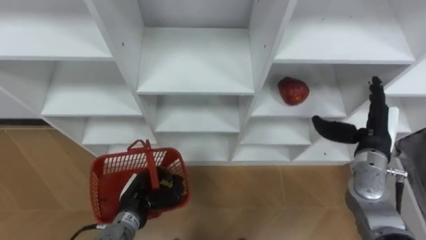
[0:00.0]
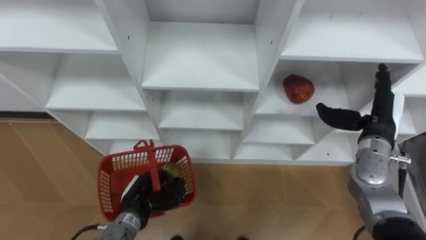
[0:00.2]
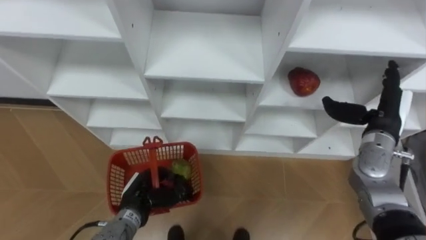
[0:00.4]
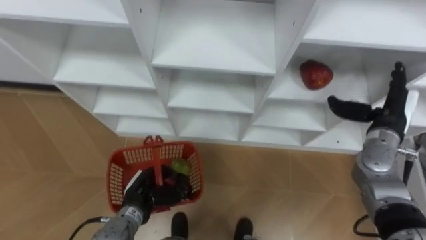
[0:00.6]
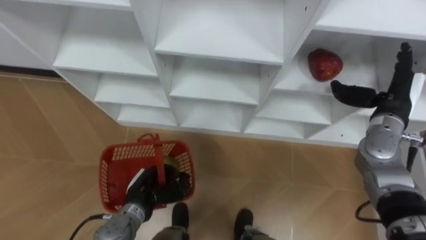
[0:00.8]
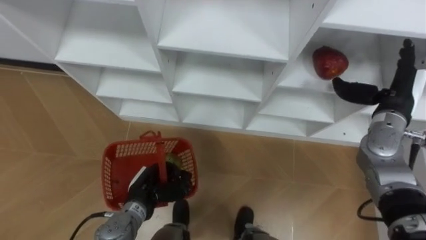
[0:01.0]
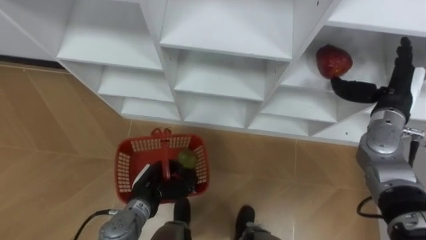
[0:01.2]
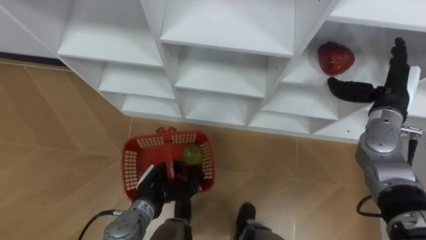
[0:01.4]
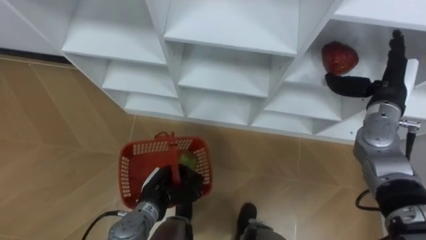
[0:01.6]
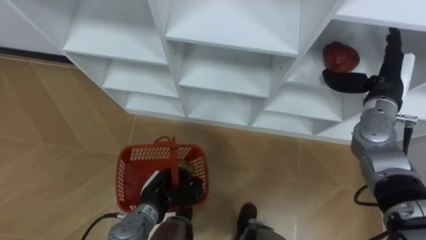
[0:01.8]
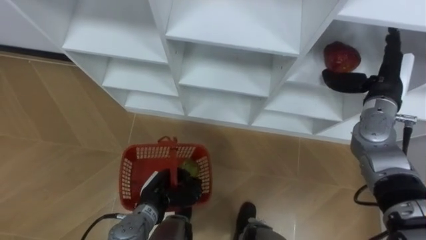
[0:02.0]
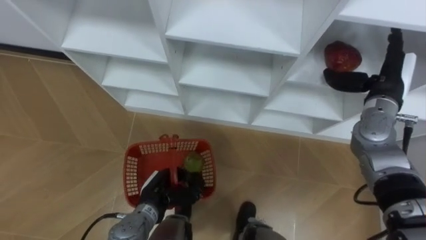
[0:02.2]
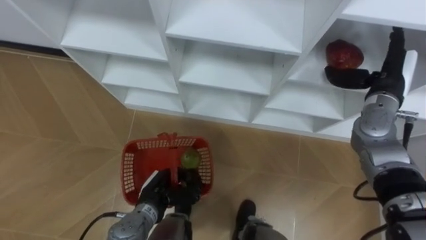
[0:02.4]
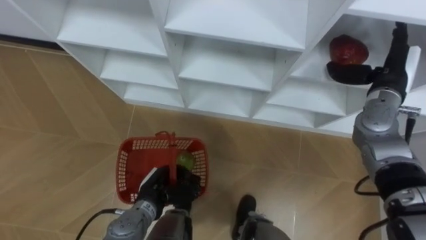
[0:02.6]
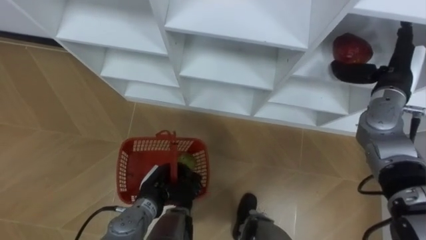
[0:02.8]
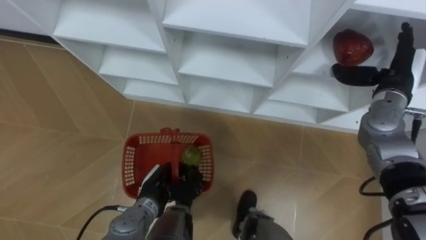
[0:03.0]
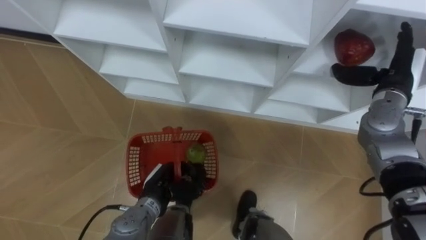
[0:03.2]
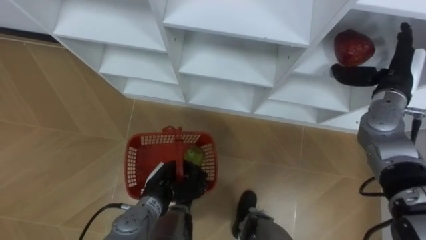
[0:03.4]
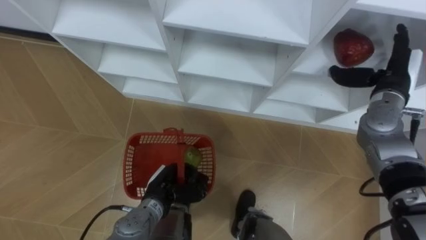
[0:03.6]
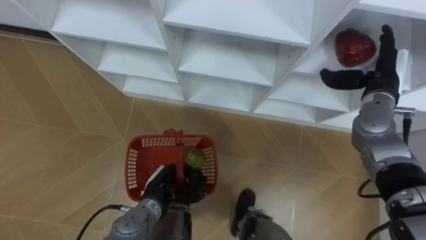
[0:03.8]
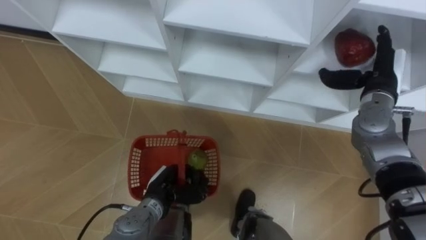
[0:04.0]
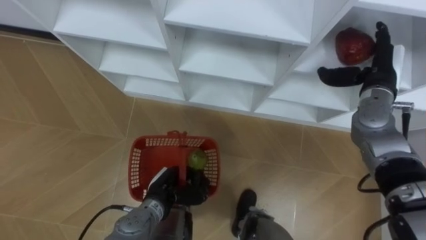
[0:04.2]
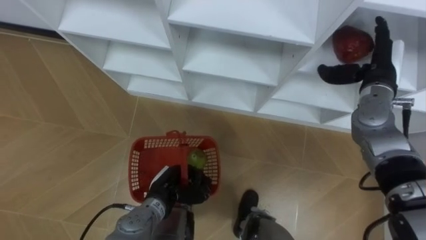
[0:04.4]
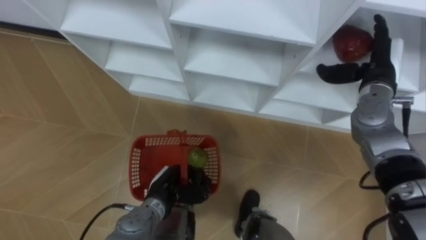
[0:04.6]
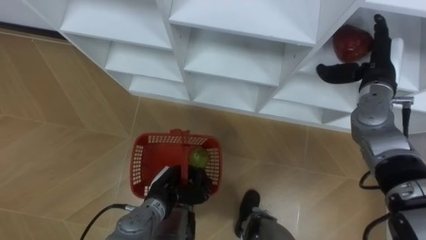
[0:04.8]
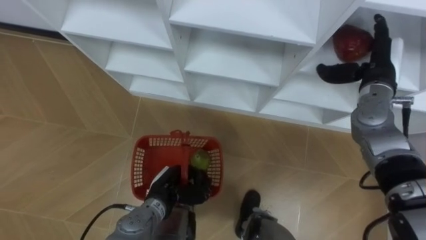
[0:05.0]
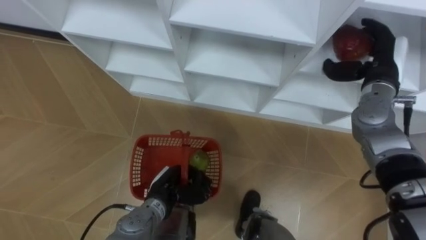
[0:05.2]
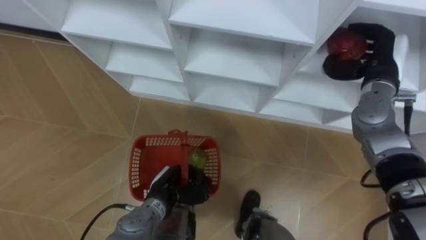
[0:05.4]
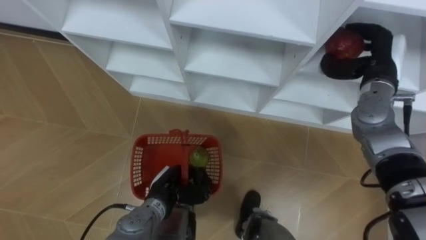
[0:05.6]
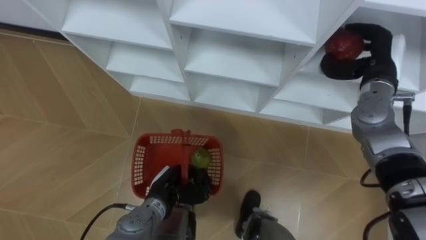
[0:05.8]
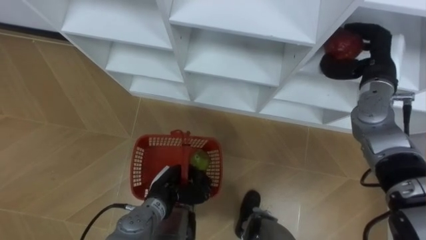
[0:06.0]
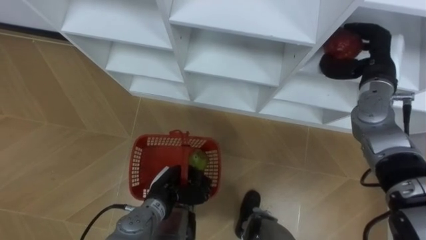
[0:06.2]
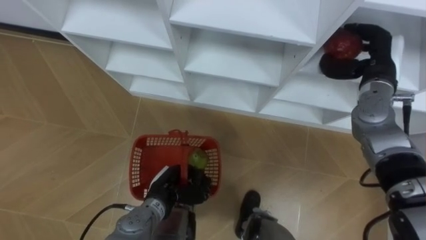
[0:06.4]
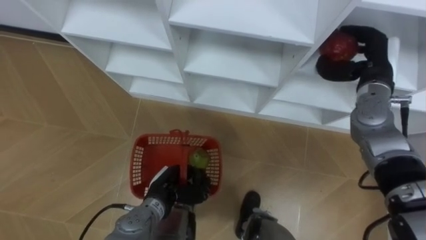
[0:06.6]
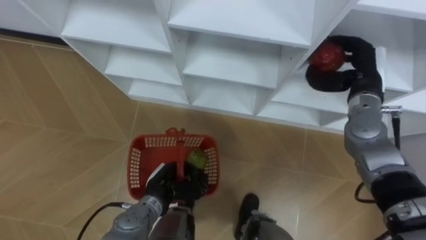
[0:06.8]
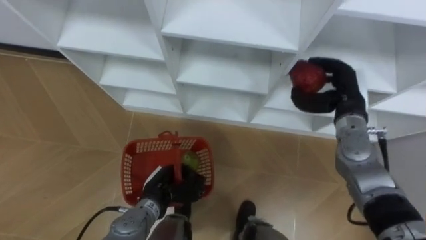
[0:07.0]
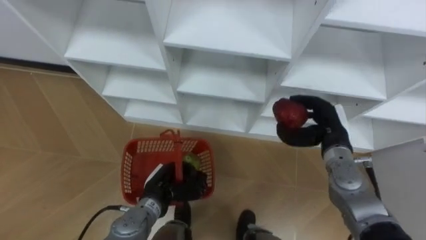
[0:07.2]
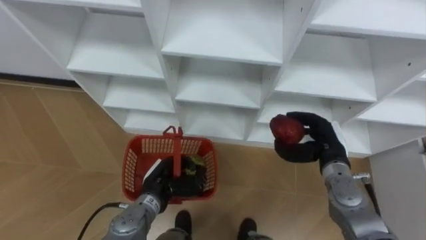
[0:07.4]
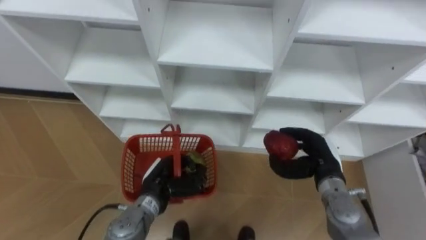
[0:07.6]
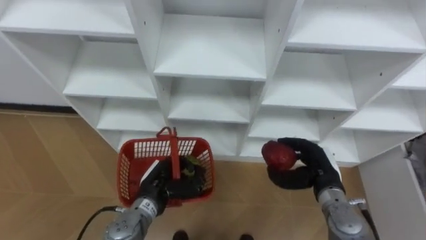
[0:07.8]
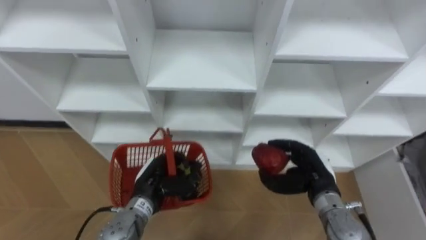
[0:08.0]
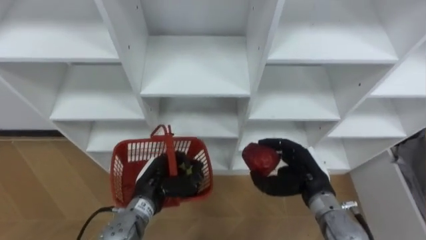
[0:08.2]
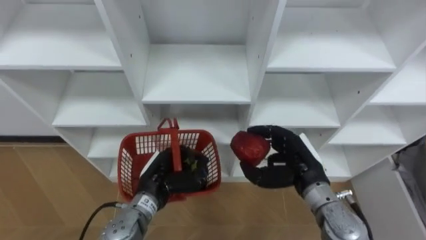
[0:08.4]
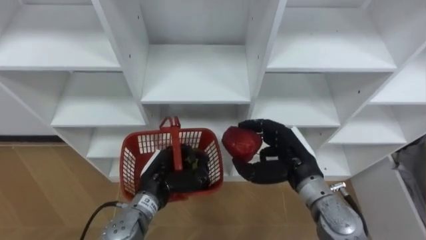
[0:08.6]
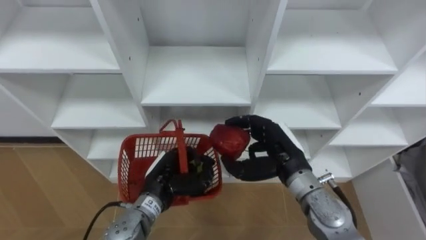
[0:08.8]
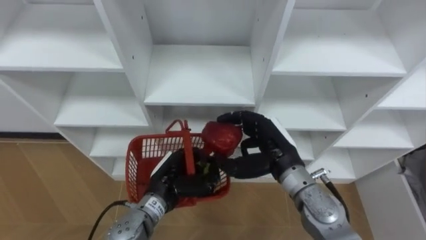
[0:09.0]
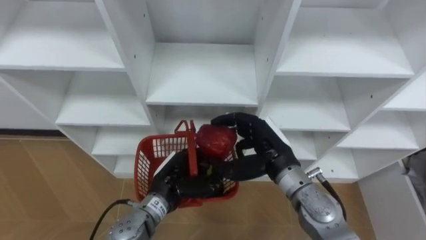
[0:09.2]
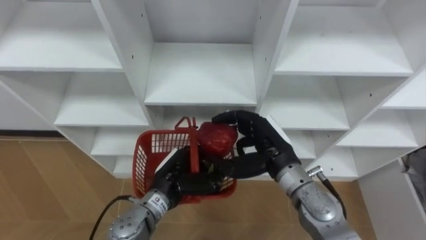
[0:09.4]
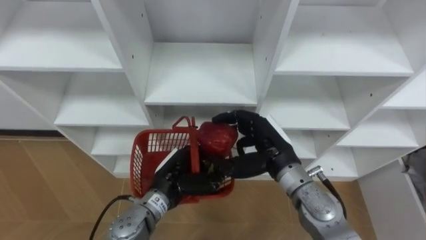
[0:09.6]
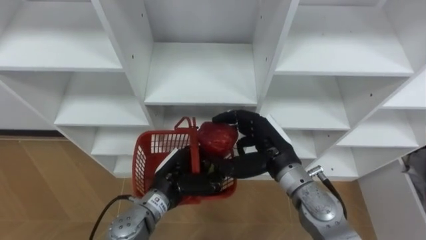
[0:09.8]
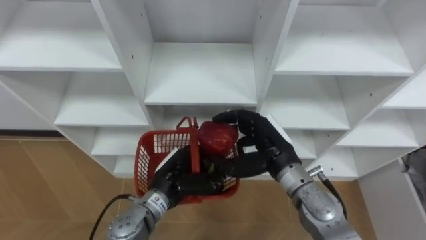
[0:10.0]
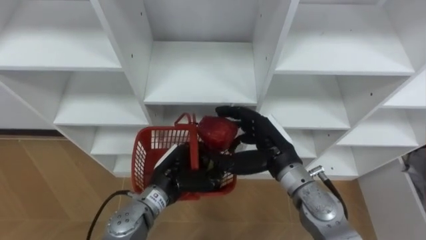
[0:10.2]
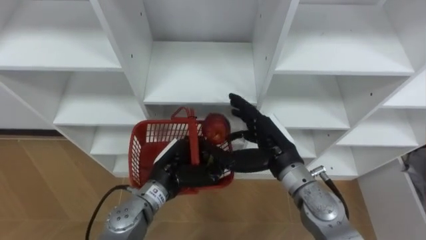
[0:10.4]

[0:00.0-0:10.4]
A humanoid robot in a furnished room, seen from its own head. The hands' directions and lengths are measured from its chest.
Task of the whole recording: Hold the basket and collect the fruits from 3 different cells of the closet into it.
0:00.0 to 0:01.4: The right hand goes roughly 10 cm forward and upward.
0:04.4 to 0:06.0: The right hand closes up.
0:06.0 to 0:07.4: The right hand shifts roughly 15 cm downward, backward and to the left.
0:07.4 to 0:09.0: The right hand shifts approximately 10 cm to the left.
0:09.0 to 0:10.4: The right hand opens.

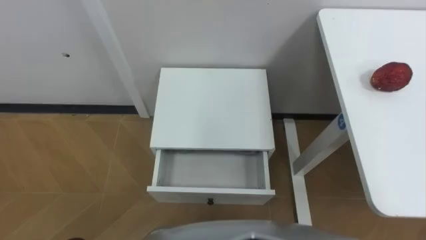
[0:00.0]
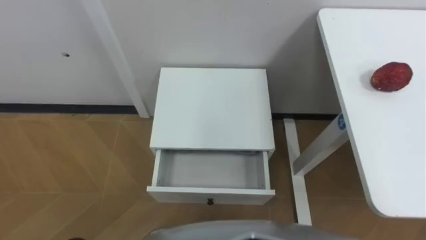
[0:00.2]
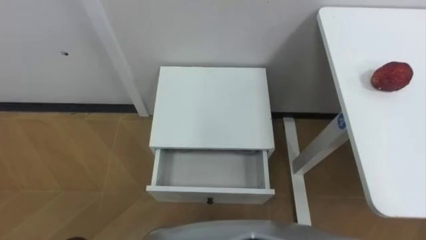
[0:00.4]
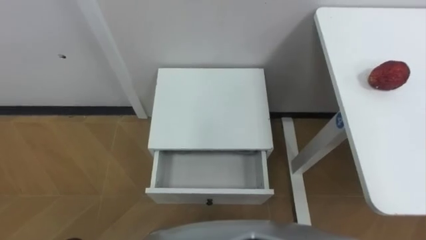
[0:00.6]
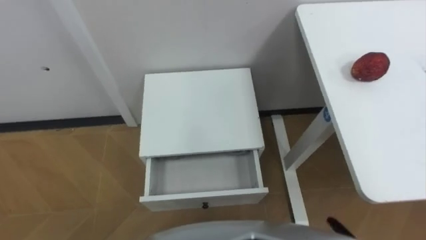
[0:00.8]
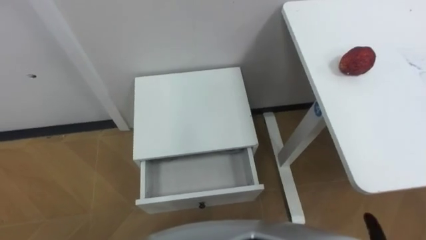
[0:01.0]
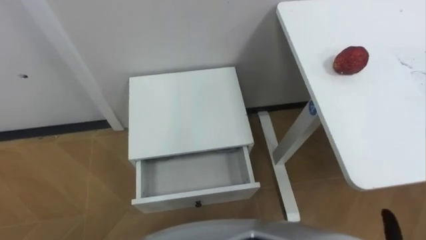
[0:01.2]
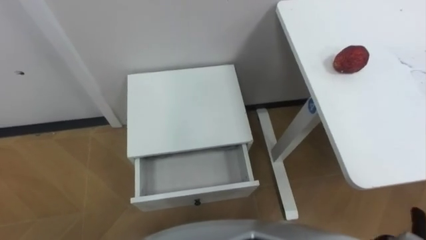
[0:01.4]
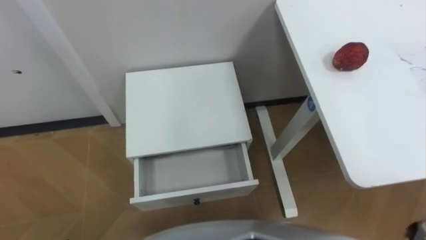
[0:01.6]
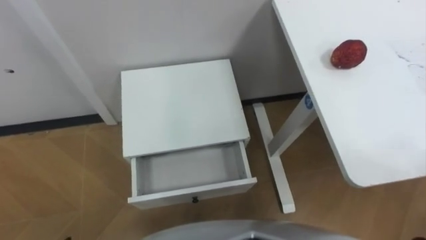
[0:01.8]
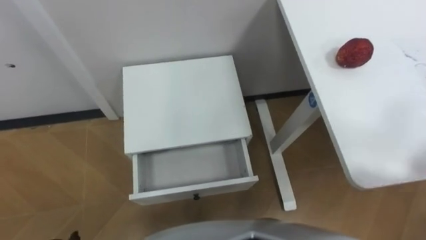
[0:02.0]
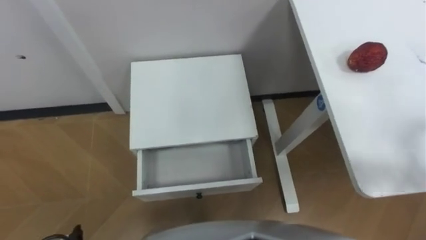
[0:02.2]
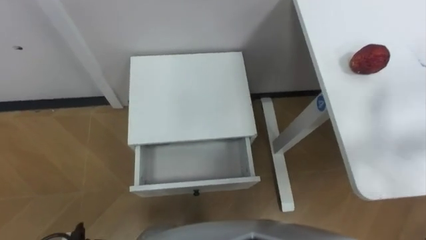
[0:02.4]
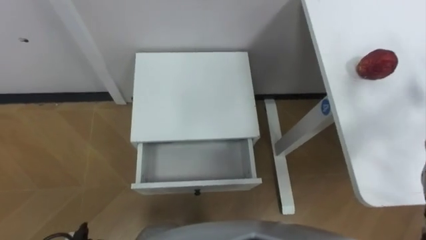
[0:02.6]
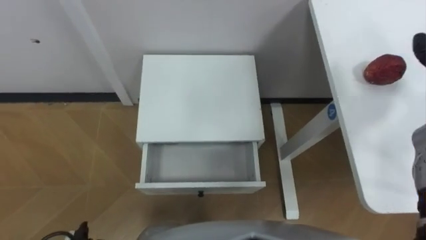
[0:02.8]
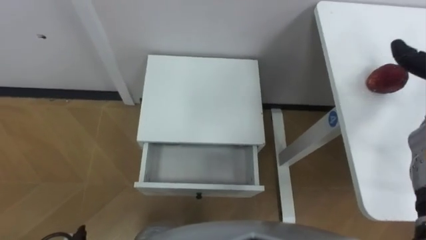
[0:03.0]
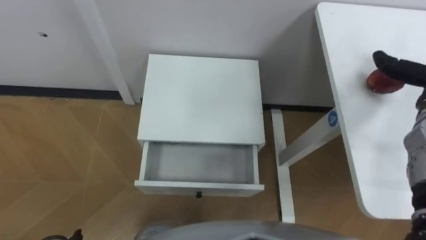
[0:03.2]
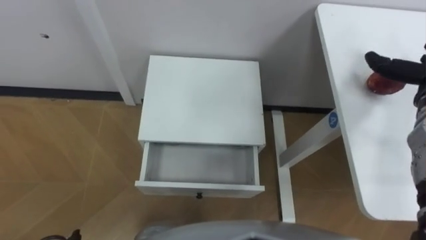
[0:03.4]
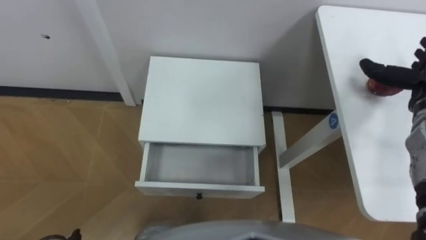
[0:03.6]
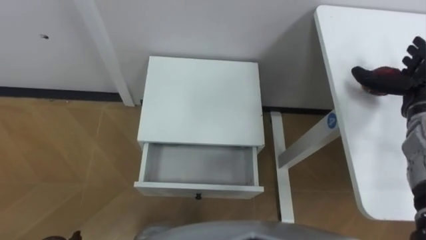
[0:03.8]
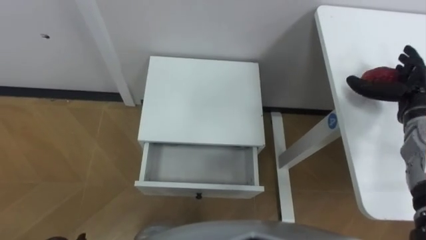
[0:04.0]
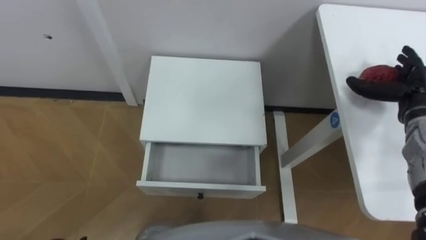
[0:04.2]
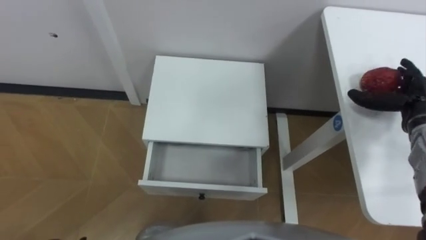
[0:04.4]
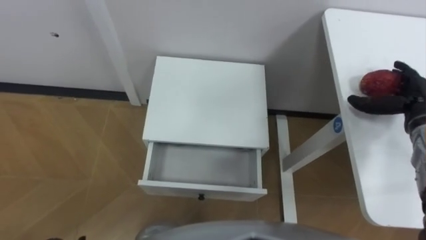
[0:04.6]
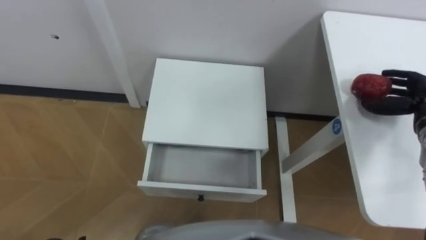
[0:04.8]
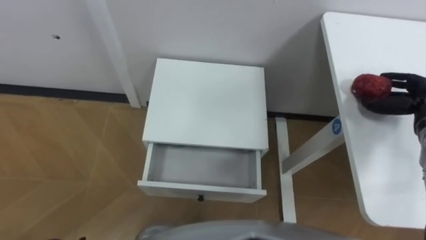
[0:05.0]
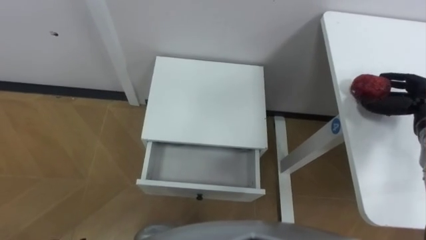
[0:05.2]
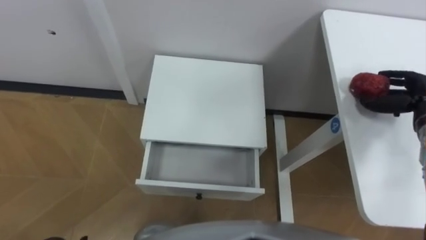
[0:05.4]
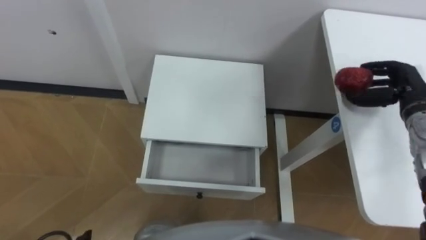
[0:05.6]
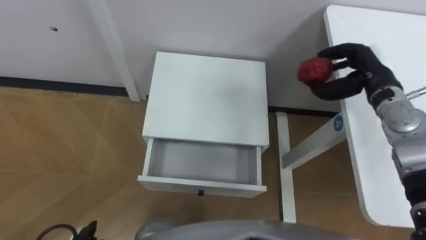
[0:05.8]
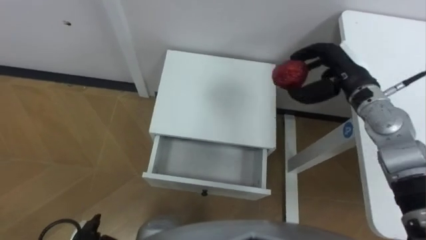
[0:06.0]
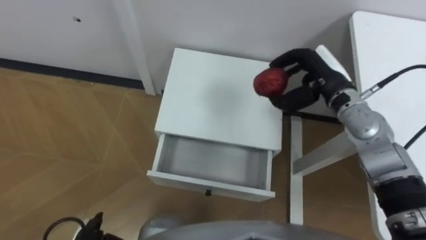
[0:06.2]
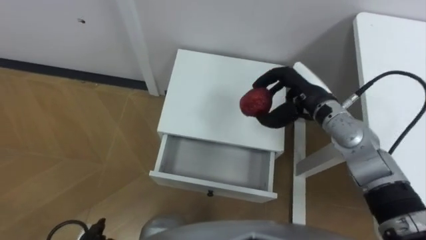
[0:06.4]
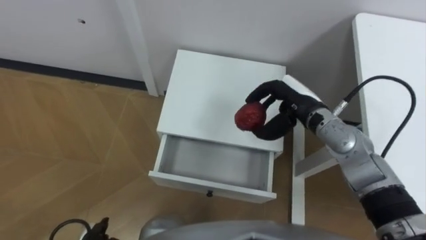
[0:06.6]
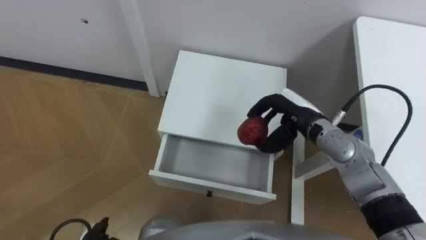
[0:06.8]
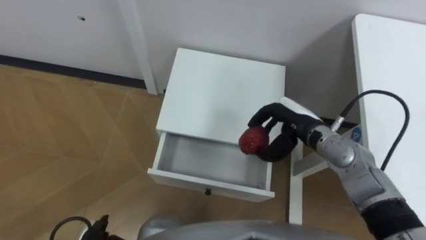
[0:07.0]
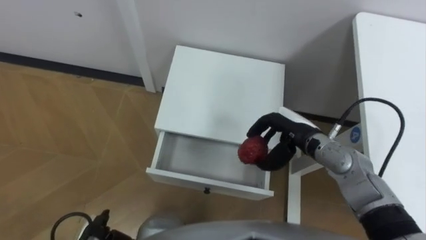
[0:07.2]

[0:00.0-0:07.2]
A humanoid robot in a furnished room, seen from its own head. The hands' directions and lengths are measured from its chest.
Task of the whole recording: Pick up the apple from the table, put it in the drawer, and close the drawer with leg.
0:04.4 to 0:05.8: The right hand is displaced to the left by roughly 10 cm, and closes.
0:05.8 to 0:07.2: The right hand shifts about 15 cm to the left, downward and backward.
